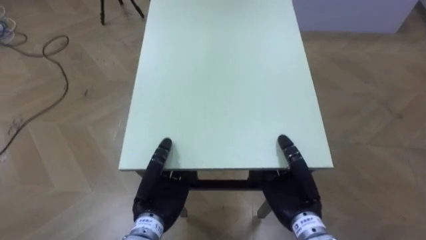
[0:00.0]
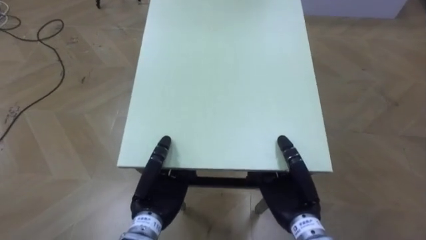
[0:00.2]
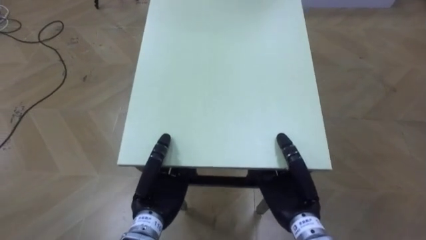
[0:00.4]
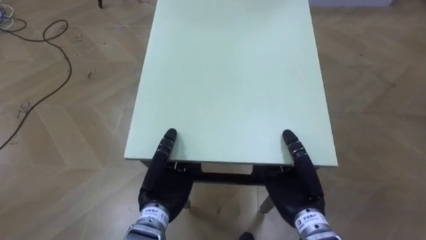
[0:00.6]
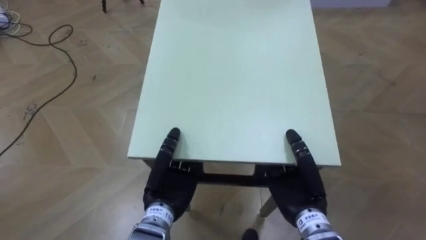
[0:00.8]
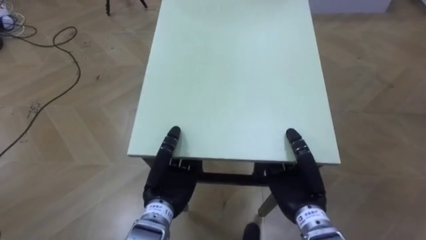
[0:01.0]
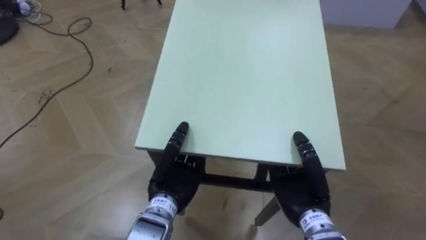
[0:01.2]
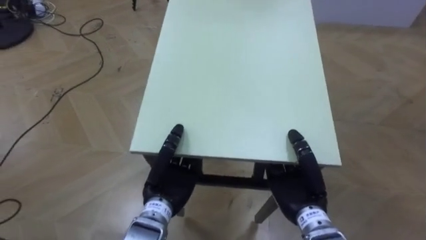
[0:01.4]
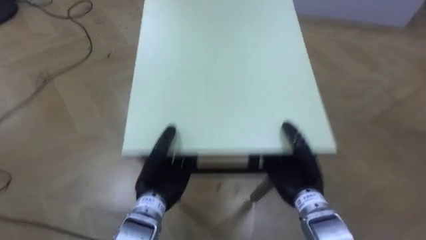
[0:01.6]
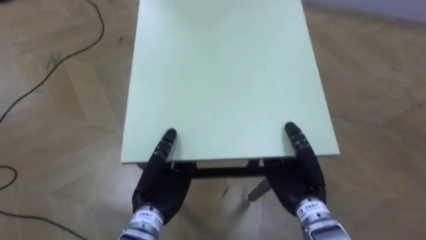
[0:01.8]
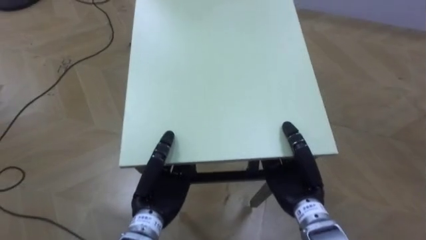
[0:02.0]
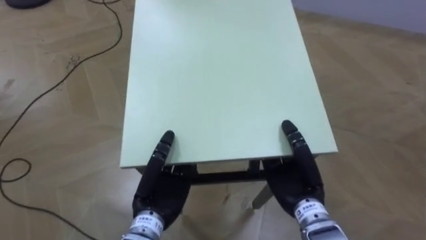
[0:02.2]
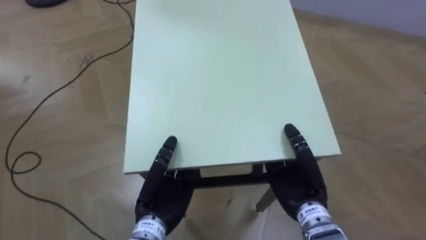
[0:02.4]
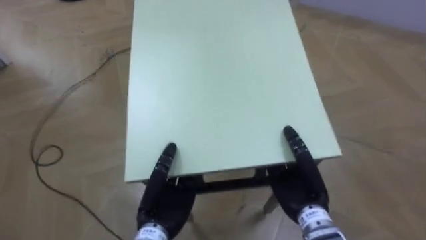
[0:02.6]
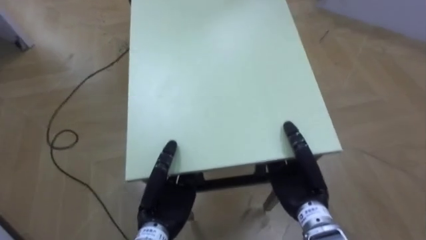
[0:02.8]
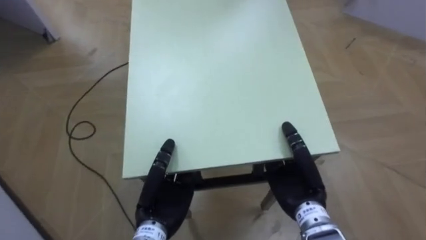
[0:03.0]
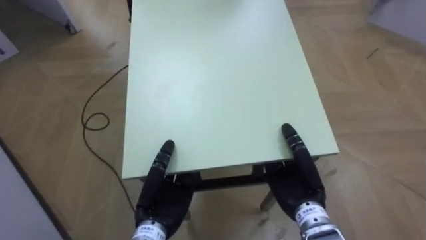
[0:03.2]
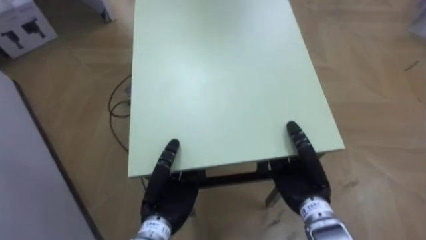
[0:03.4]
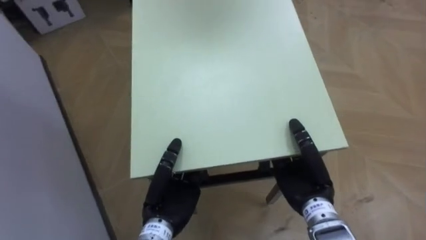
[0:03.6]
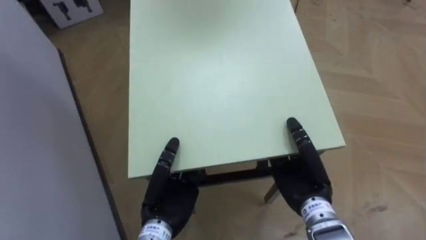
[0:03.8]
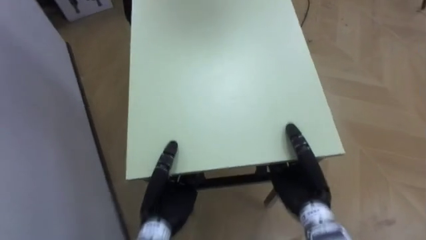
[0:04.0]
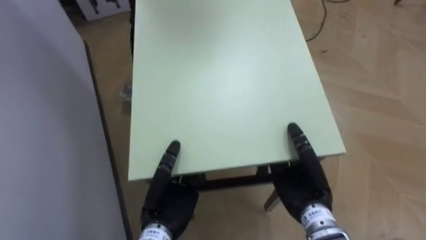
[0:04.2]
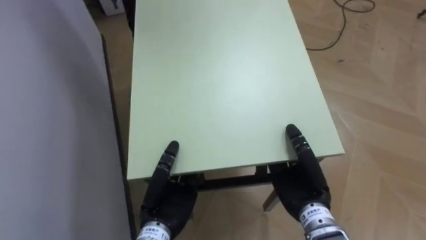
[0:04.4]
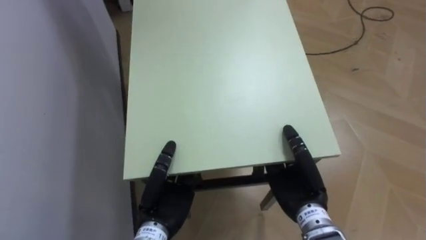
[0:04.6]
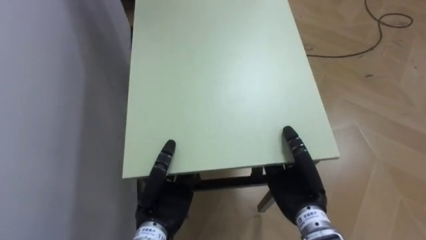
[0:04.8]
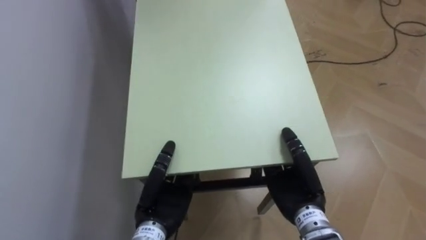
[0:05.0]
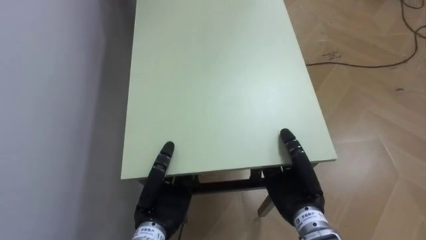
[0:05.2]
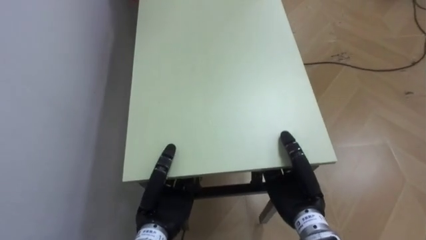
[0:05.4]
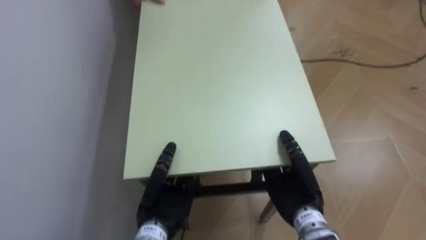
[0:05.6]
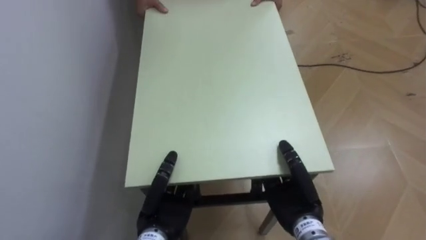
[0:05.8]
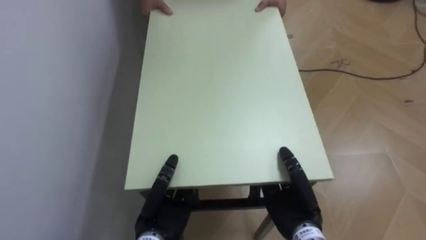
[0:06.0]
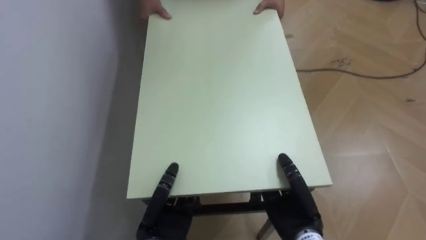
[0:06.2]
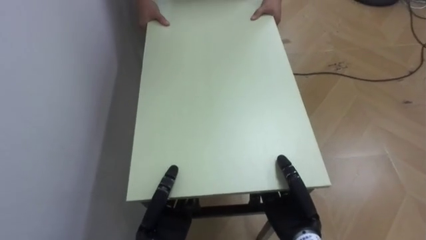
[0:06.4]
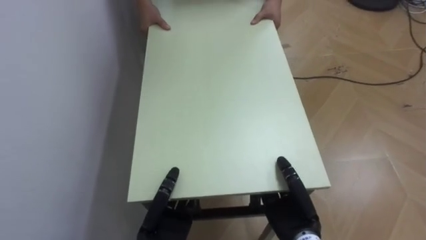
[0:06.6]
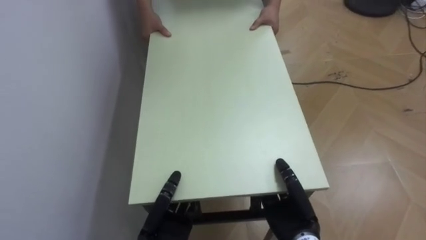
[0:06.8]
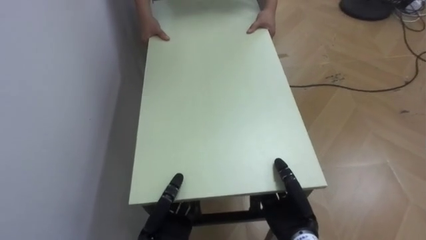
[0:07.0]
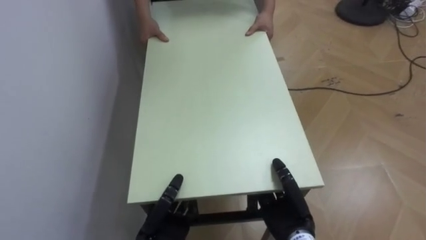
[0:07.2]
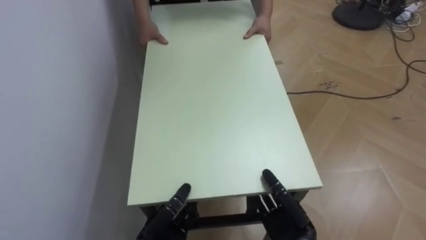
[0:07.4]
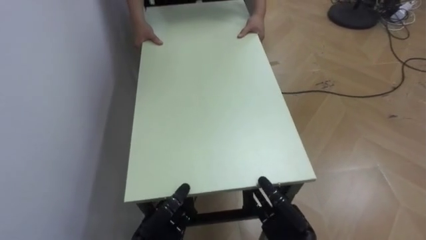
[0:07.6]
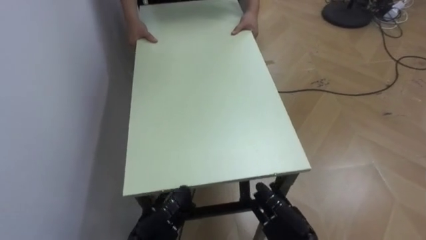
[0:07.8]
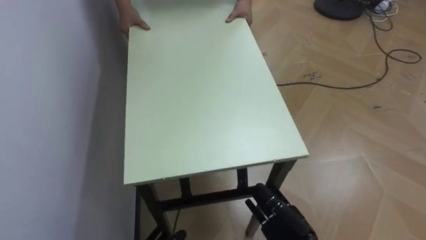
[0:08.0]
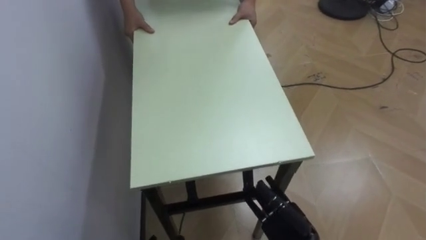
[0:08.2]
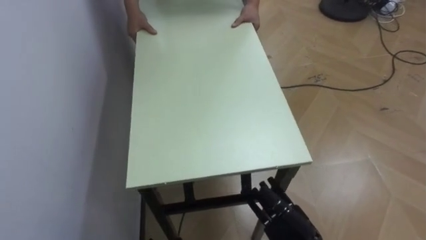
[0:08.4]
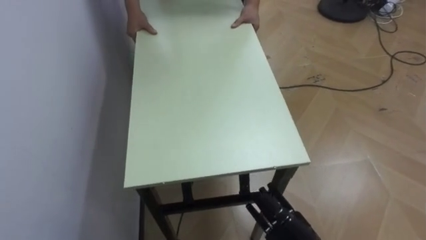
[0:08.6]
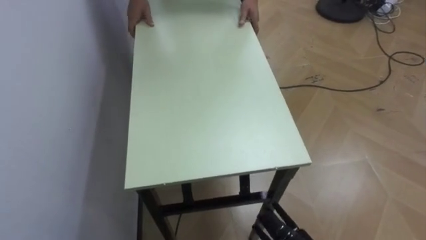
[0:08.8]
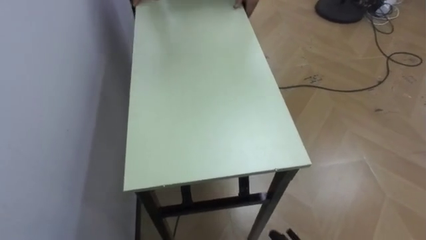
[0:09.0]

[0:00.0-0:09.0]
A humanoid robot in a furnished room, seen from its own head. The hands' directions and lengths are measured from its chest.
Task of the whole recording: Move the table to the back left with someone.
0:01.6 to 0:03.0: The robot rotates about 25 degrees to its left.
0:03.0 to 0:04.4: The robot rotates some 35 degrees to its left.
0:04.4 to 0:06.0: The robot rotates roughly 15 degrees to its left.
0:06.0 to 0:07.6: The two hands go roughly 5 cm downward. The right hand opens its fingers.

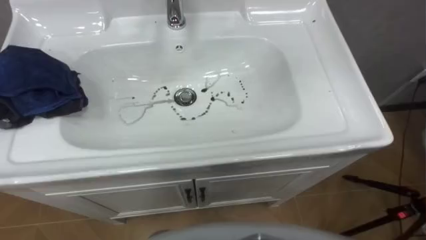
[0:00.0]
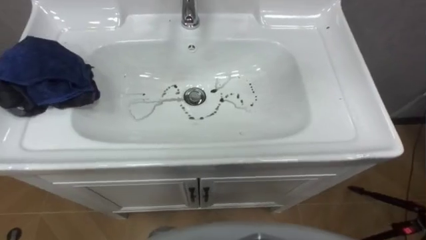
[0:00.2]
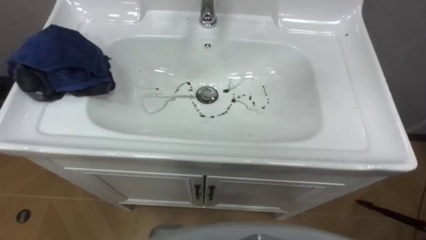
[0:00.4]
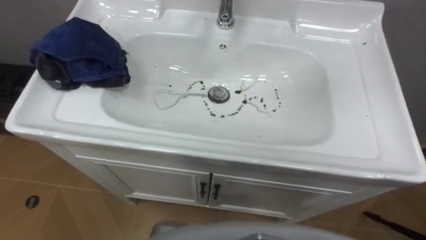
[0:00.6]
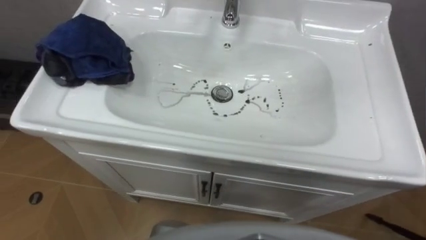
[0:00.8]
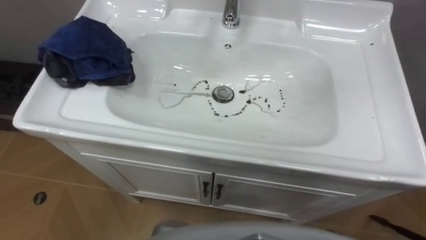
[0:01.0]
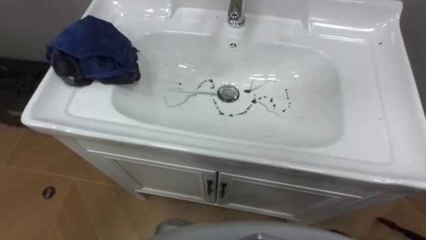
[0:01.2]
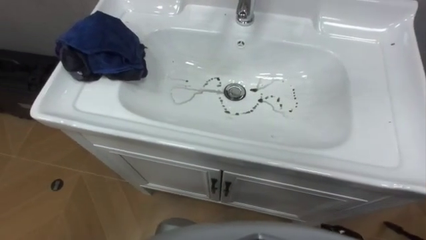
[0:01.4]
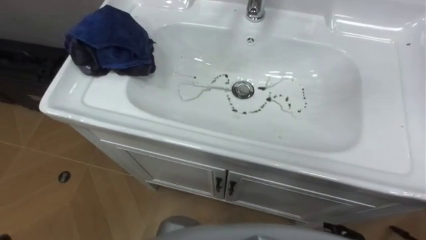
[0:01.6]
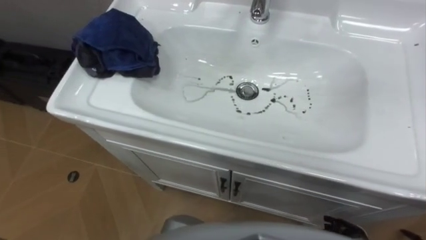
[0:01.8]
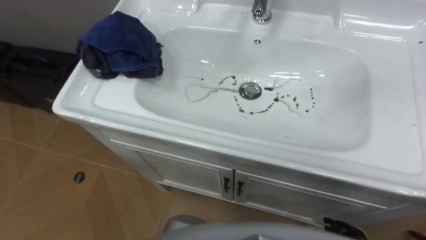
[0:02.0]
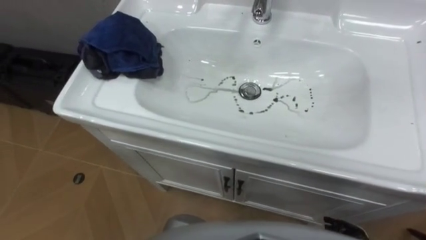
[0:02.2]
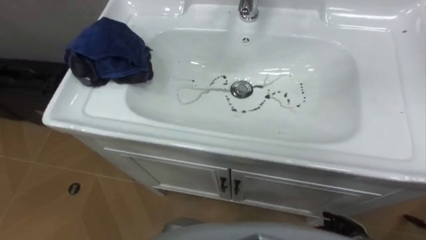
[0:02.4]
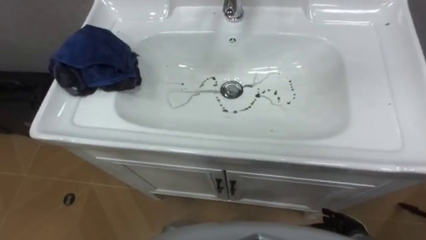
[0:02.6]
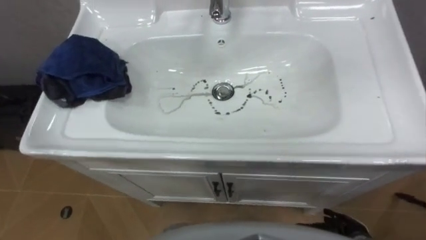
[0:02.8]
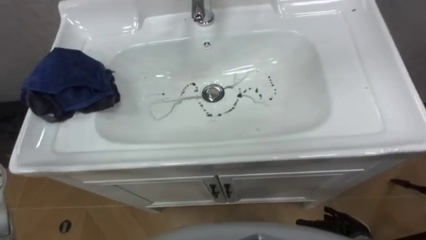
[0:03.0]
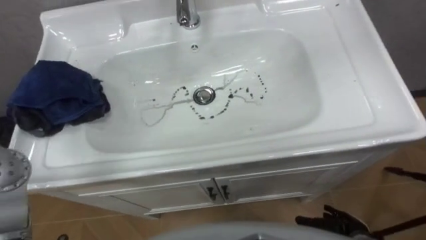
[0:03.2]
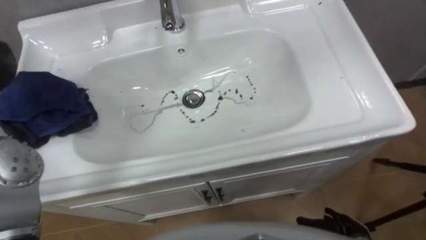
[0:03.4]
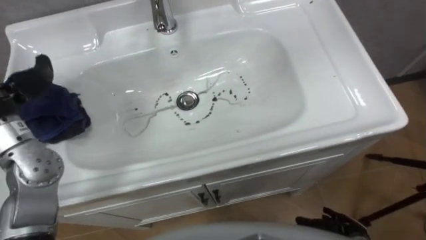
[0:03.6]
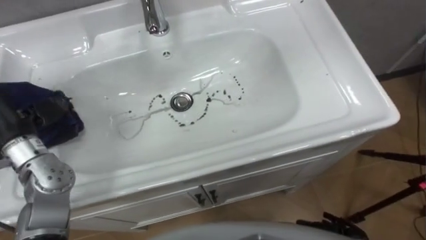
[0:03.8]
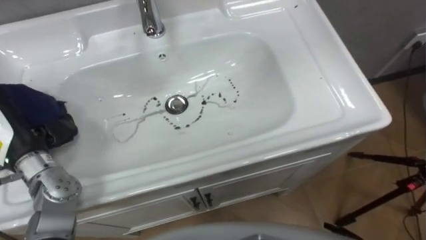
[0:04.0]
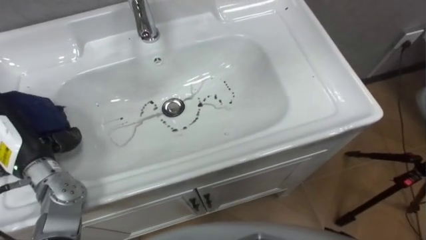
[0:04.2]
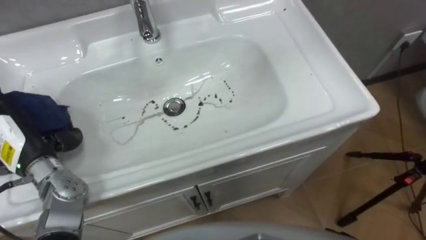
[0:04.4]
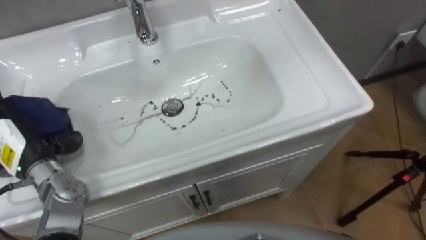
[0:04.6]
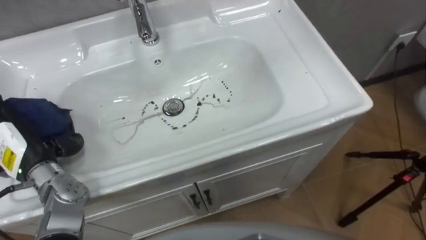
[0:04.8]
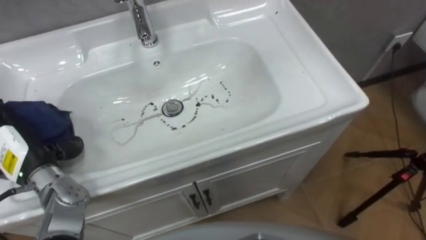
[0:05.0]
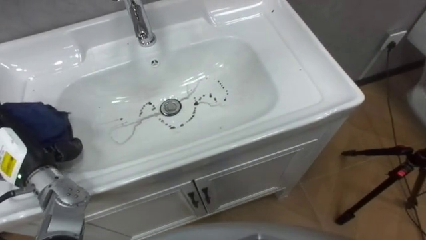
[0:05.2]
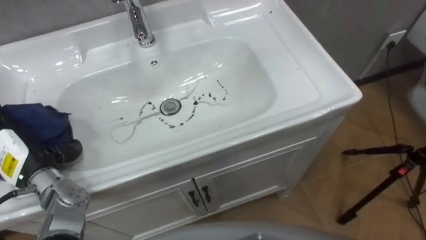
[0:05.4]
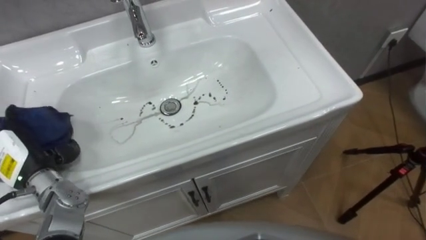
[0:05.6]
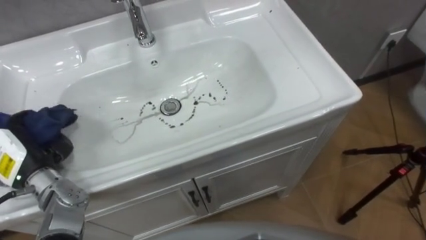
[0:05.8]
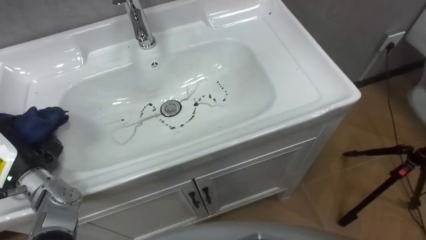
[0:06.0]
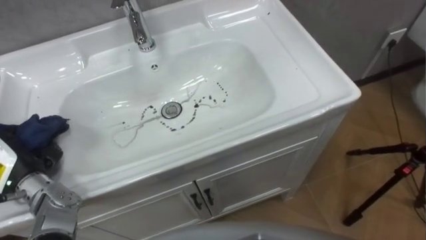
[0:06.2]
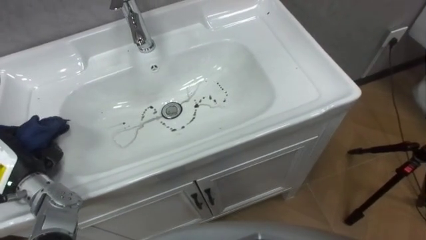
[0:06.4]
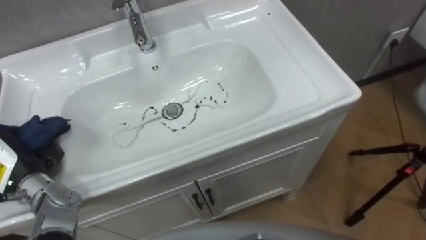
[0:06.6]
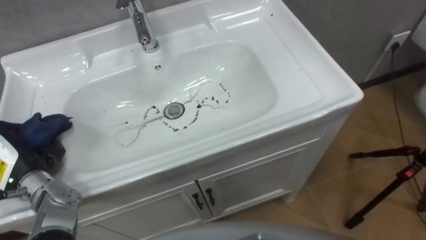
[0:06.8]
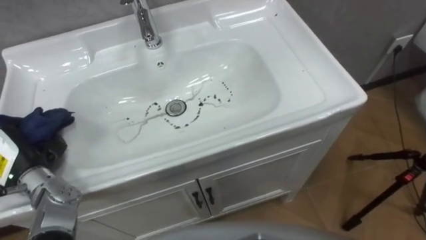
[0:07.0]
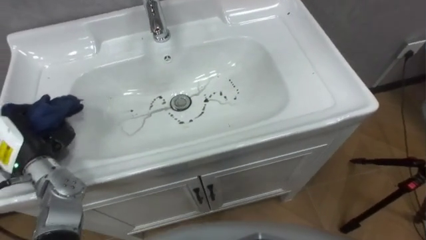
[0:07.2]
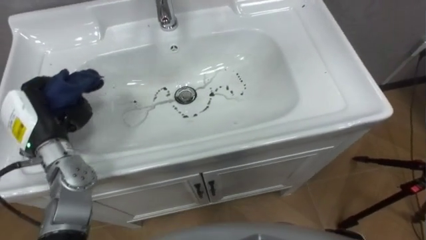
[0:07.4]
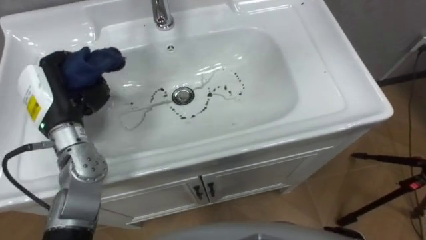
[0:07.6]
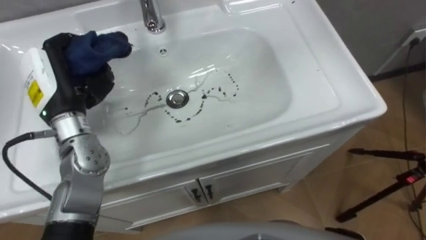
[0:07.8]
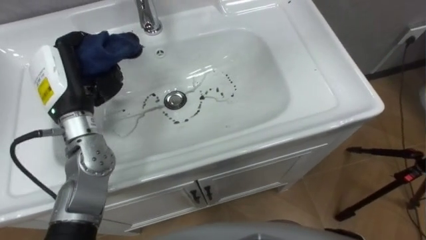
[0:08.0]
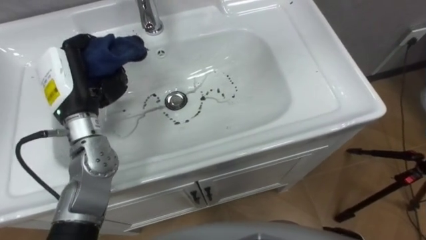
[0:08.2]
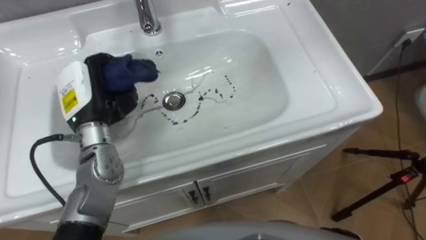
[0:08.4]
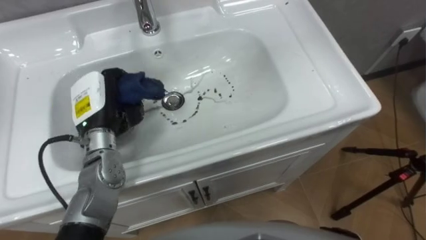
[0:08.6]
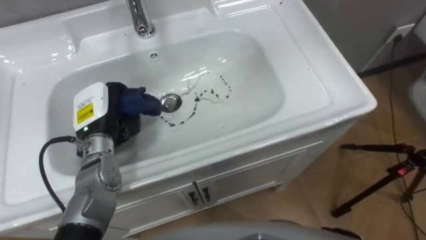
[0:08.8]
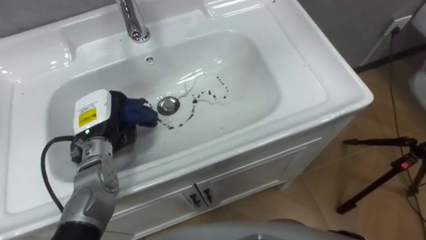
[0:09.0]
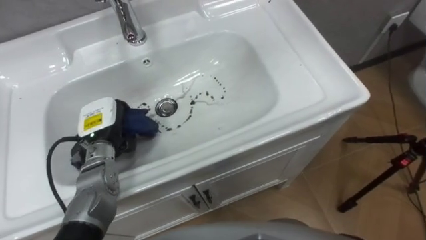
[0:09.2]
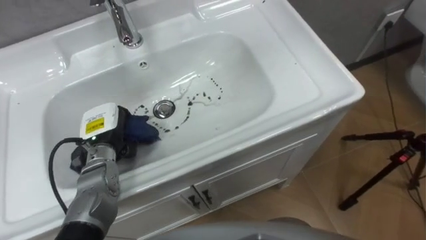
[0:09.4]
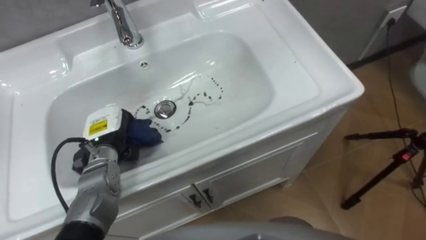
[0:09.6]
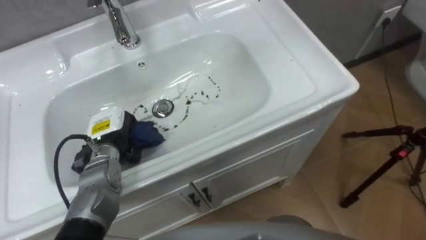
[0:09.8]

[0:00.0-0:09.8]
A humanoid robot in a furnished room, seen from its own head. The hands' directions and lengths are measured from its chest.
Task of the whole recording: Use the cloth on the right to wipe away the black stain in the sink.
0:05.6 to 0:07.0: The left hand closes.
0:07.0 to 0:08.4: The left hand goes roughly 20 cm to the right, forward and upward.
0:08.4 to 0:09.8: The left hand is displaced downward by about 10 cm.
